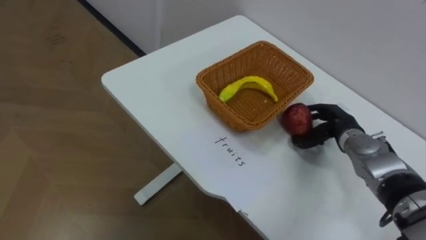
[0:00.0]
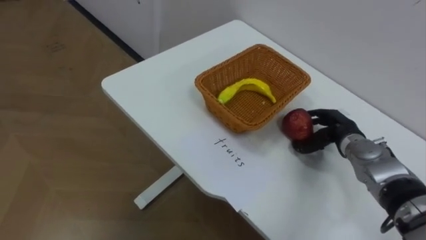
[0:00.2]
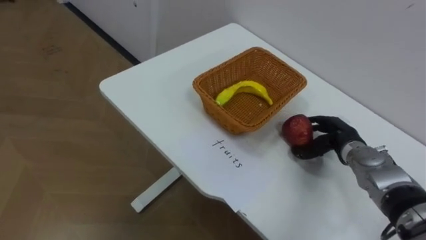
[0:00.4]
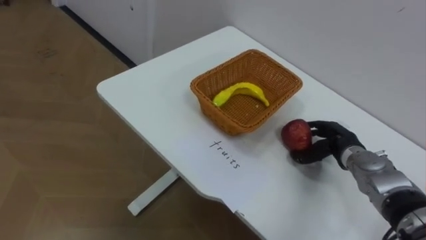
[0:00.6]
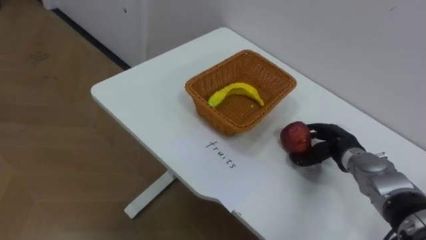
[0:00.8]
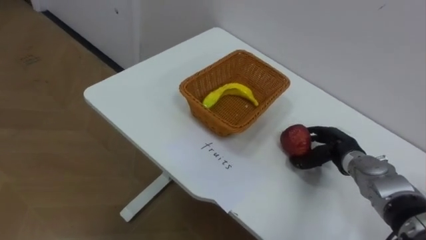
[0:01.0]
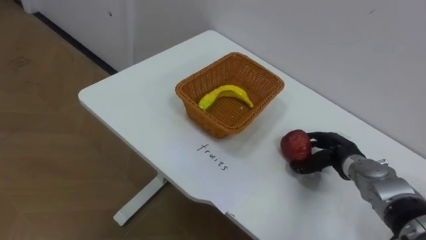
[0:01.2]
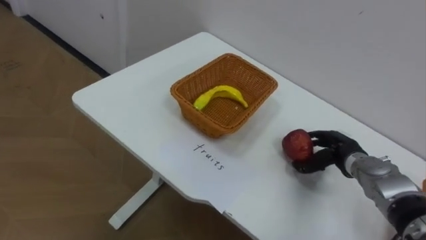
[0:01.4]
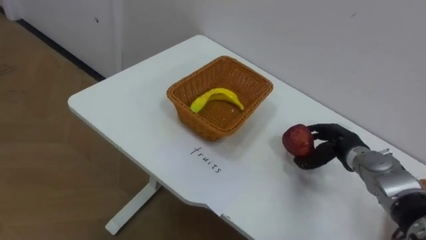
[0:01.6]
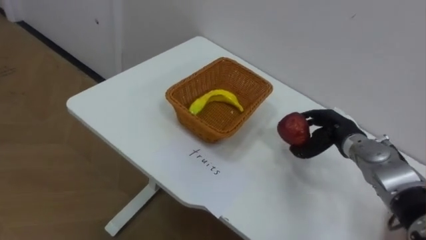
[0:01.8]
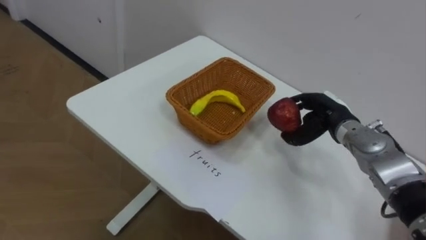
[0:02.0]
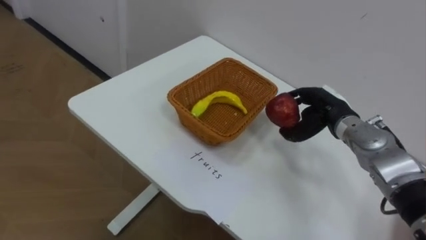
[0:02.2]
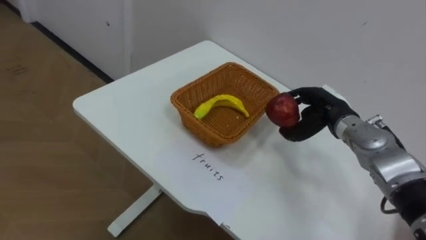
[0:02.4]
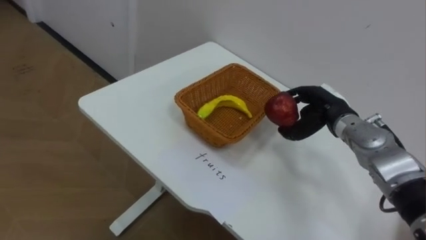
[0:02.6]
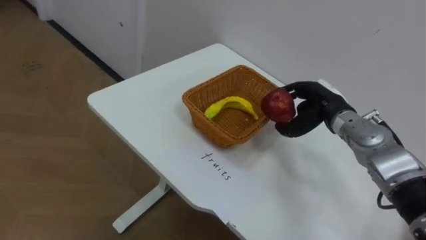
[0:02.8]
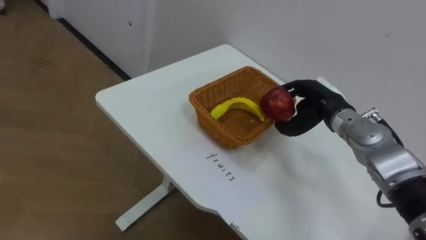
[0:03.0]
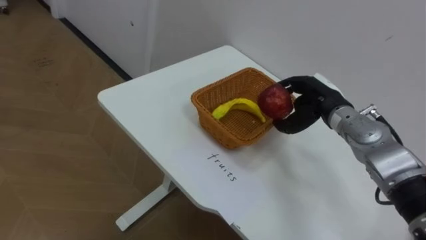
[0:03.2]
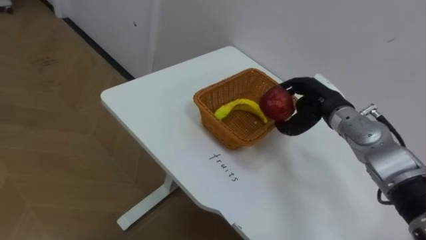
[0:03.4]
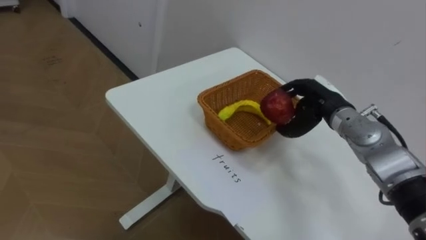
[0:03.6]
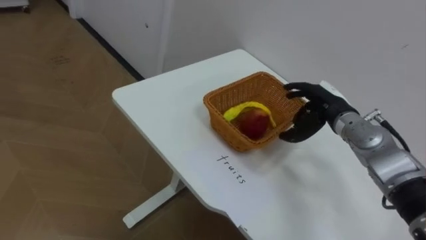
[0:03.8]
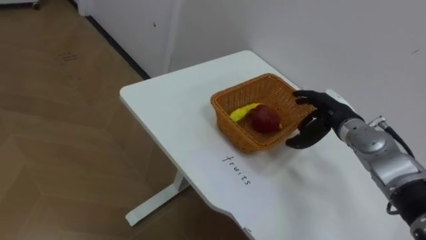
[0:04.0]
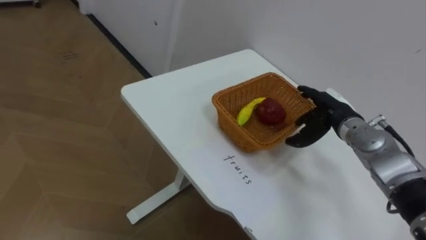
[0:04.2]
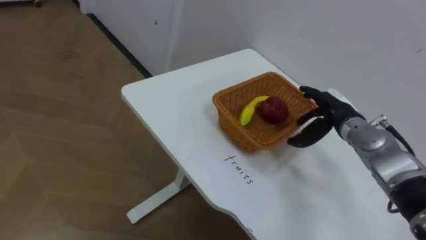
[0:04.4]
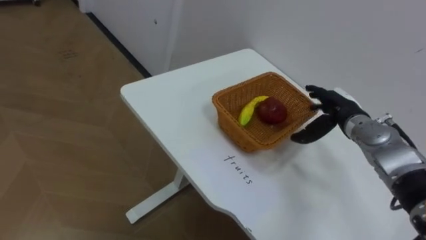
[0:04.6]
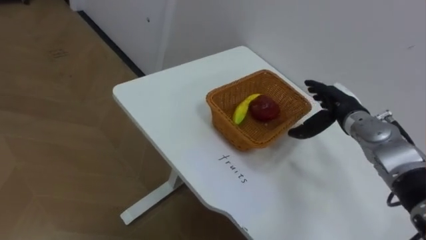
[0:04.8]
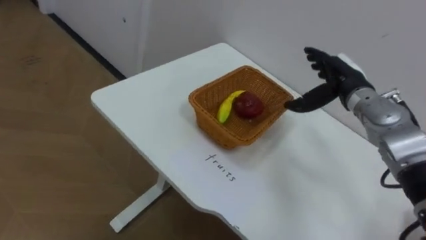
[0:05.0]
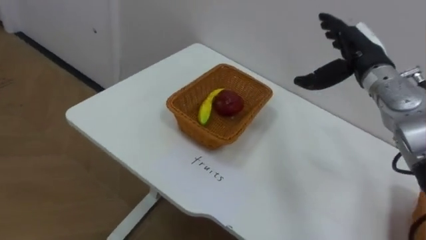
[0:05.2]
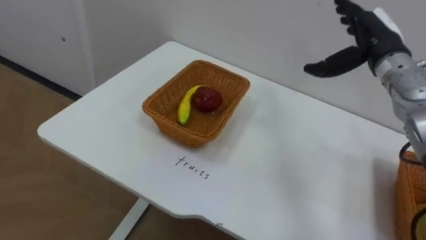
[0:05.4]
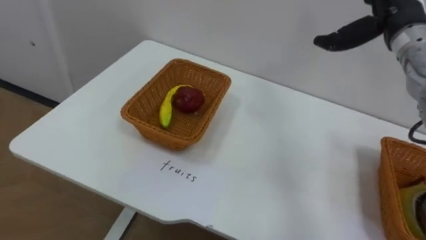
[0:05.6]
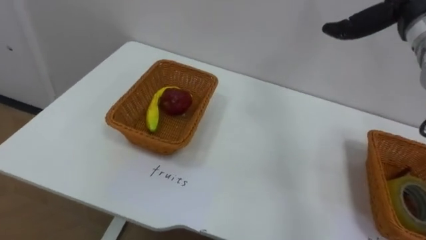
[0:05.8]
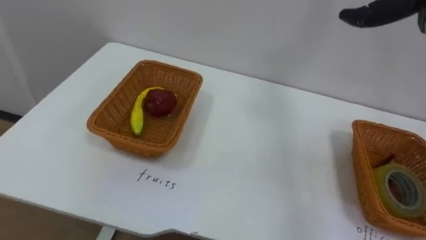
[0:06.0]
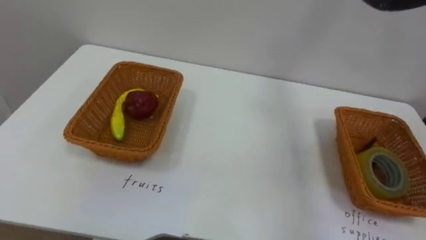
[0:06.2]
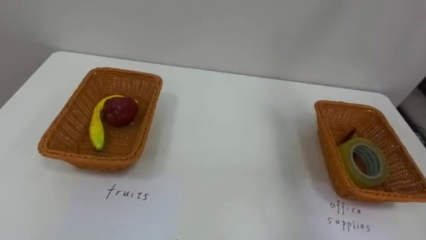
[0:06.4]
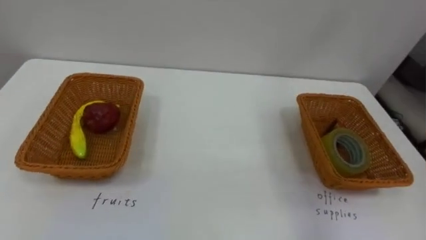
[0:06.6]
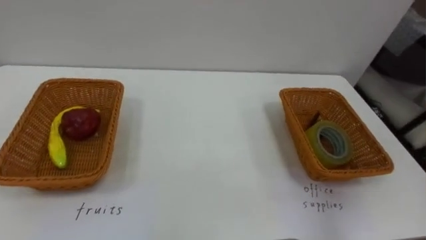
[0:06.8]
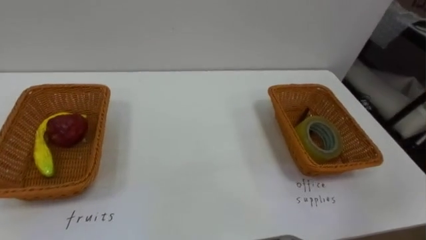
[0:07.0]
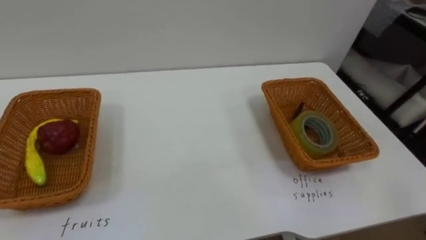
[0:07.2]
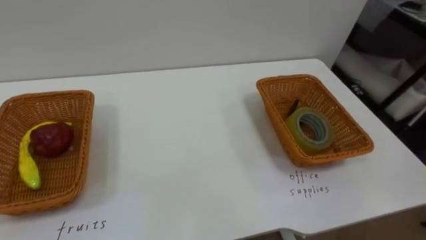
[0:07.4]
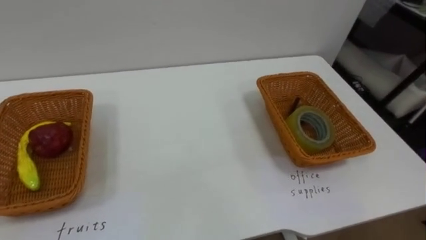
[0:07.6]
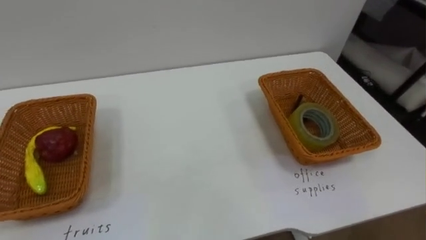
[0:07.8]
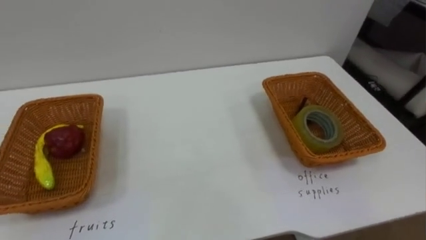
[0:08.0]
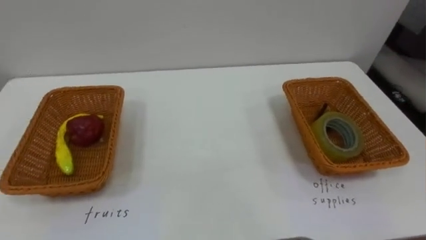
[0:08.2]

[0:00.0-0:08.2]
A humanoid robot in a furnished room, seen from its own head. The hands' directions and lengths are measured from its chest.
Task of the whole recording: Separate the items on the table and place them into the two baskets.
0:01.6 to 0:03.2: The right hand travels upward and to the left by approximately 10 cm.
0:03.2 to 0:05.0: The right hand opens up.

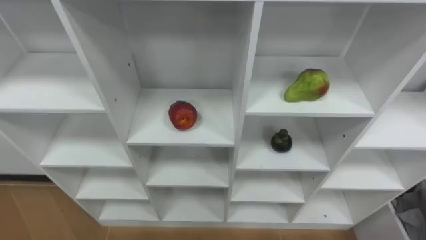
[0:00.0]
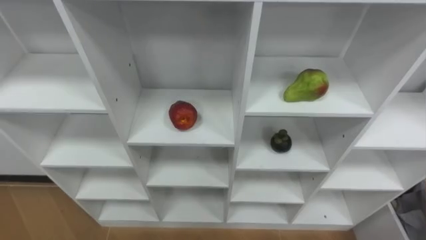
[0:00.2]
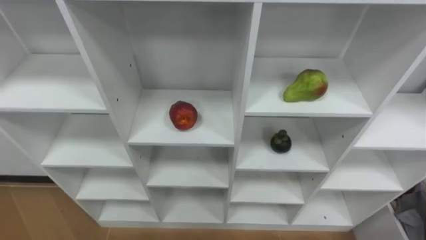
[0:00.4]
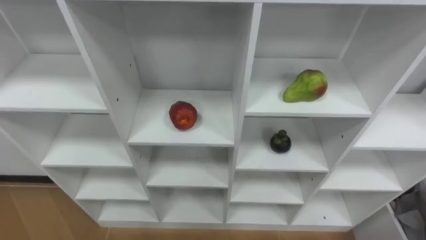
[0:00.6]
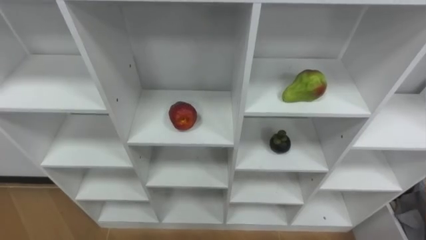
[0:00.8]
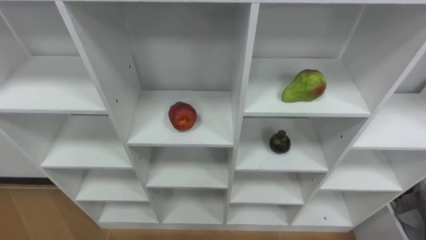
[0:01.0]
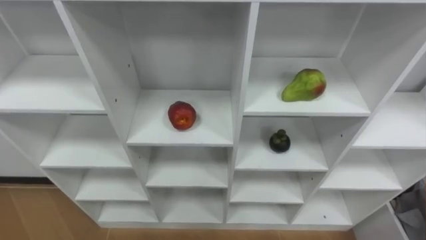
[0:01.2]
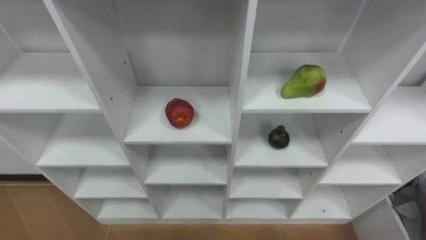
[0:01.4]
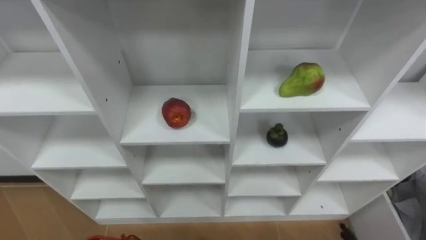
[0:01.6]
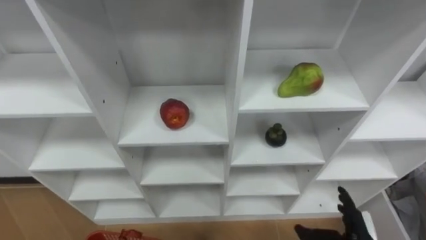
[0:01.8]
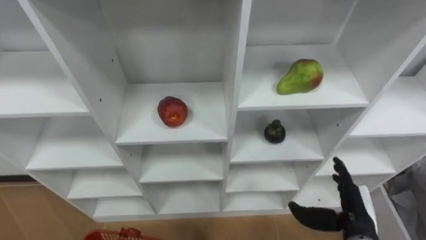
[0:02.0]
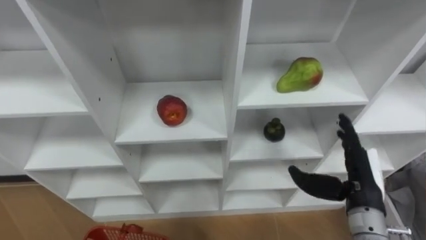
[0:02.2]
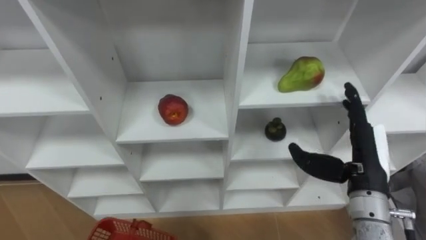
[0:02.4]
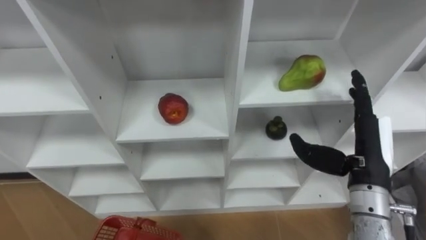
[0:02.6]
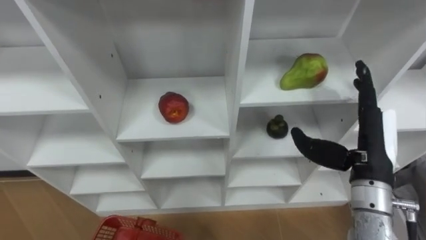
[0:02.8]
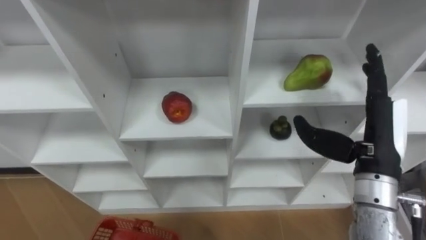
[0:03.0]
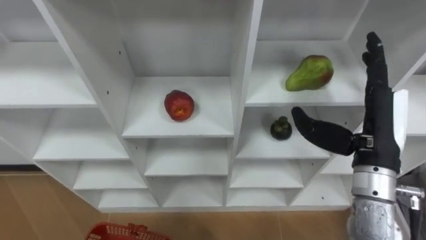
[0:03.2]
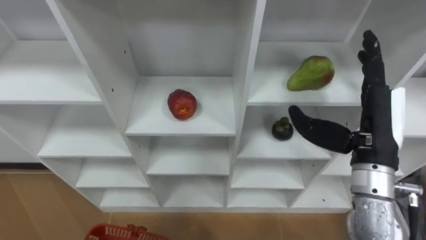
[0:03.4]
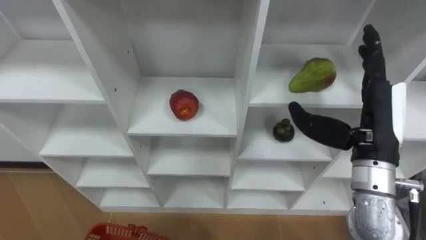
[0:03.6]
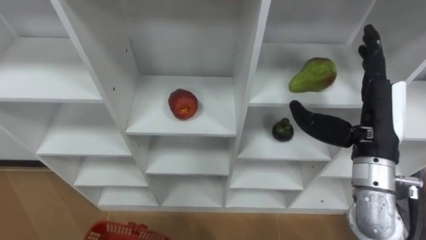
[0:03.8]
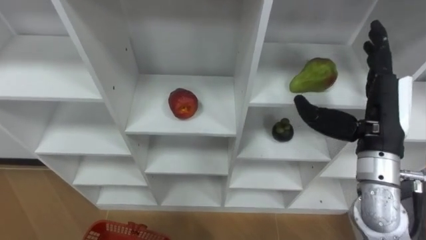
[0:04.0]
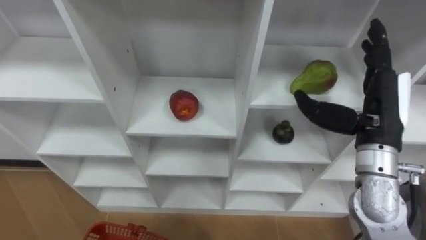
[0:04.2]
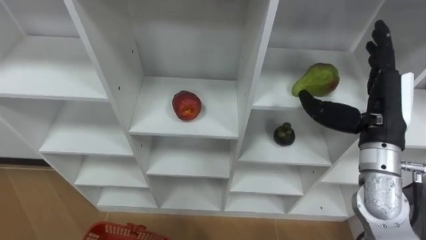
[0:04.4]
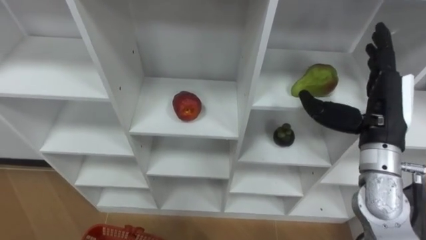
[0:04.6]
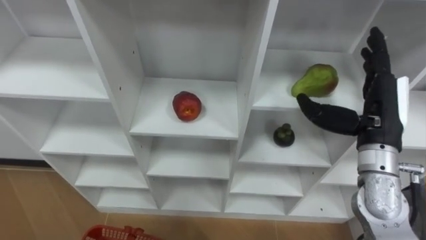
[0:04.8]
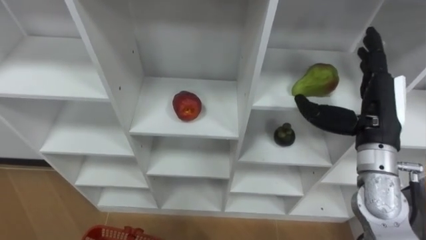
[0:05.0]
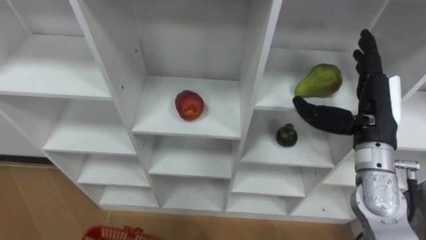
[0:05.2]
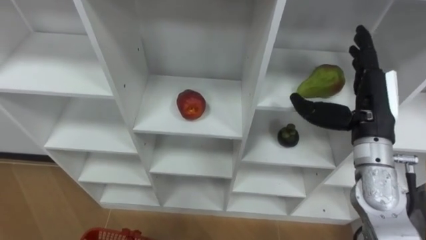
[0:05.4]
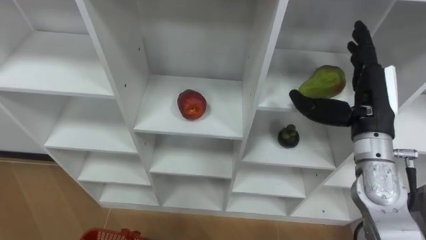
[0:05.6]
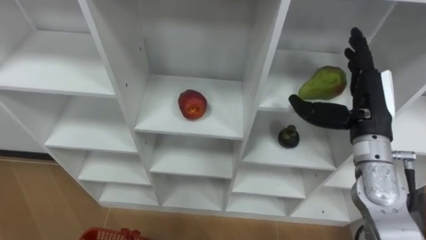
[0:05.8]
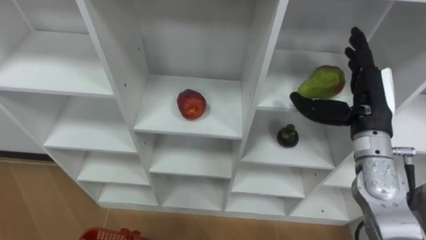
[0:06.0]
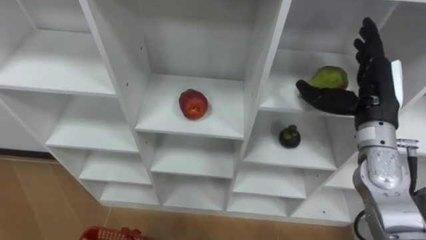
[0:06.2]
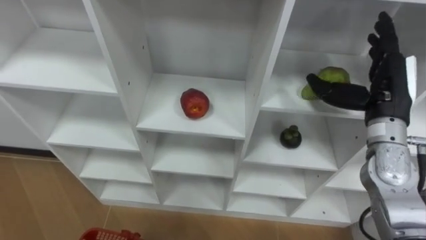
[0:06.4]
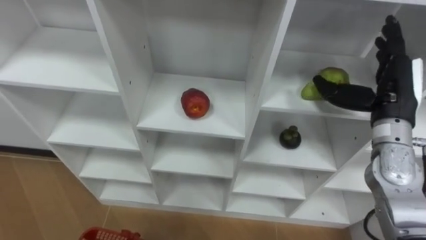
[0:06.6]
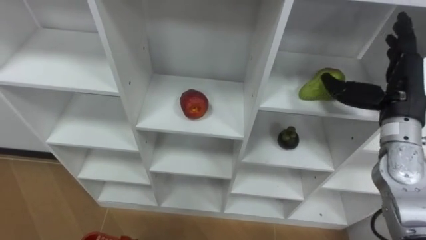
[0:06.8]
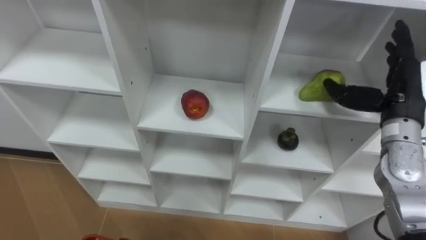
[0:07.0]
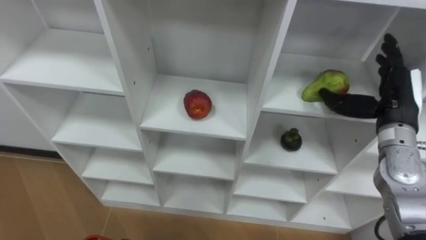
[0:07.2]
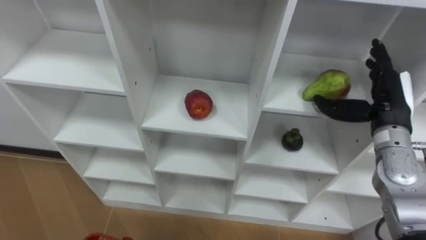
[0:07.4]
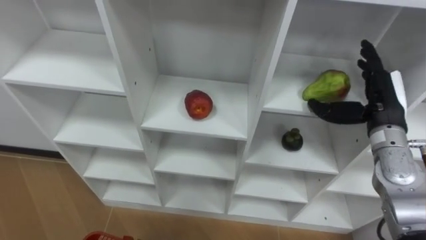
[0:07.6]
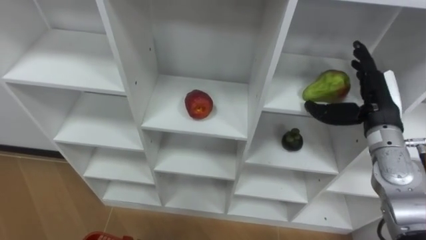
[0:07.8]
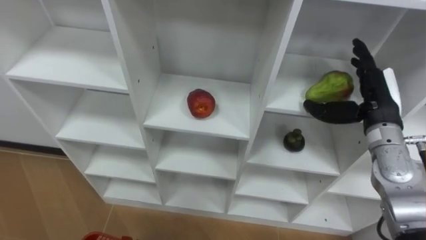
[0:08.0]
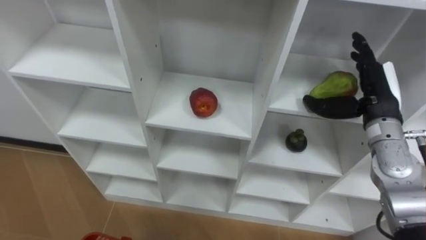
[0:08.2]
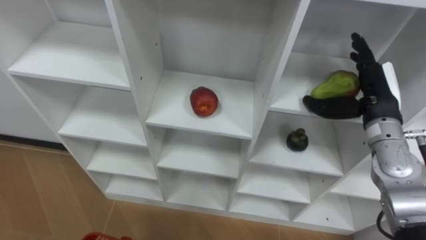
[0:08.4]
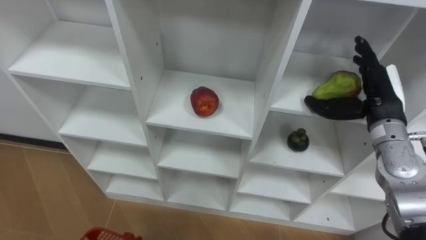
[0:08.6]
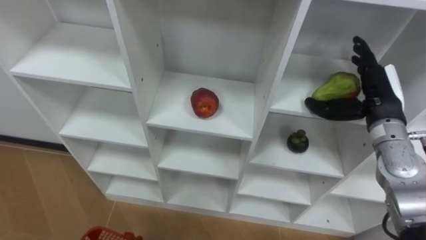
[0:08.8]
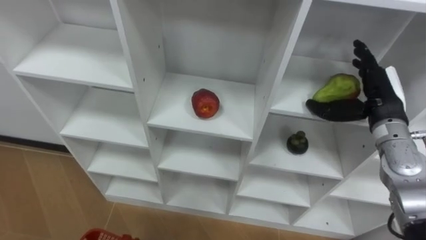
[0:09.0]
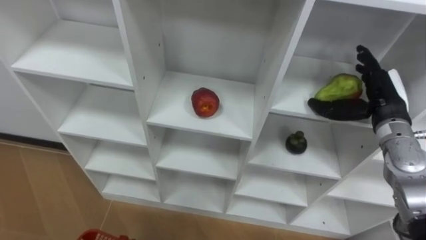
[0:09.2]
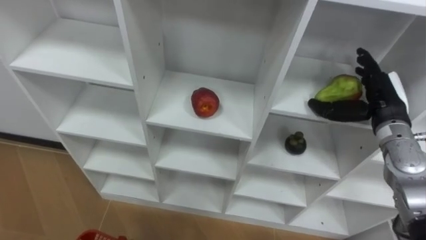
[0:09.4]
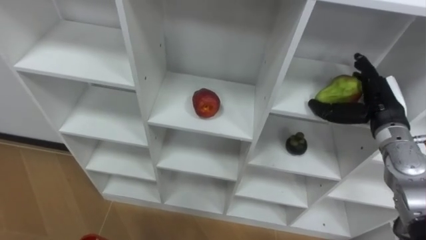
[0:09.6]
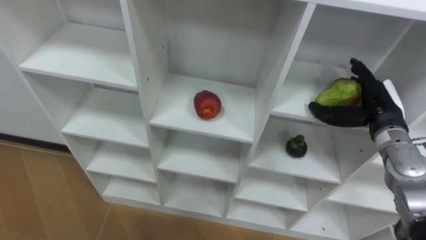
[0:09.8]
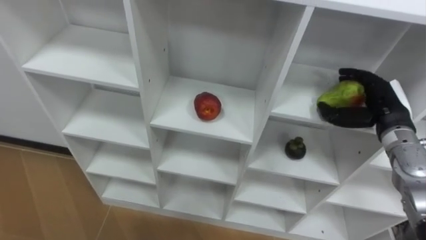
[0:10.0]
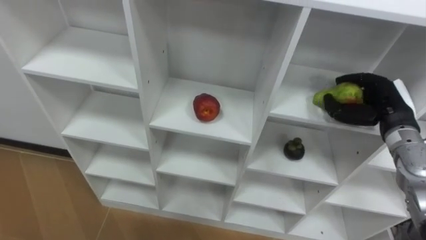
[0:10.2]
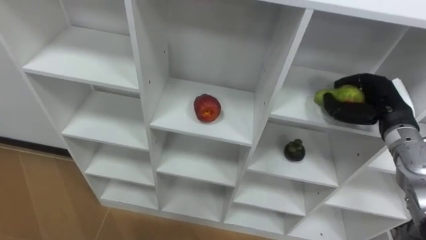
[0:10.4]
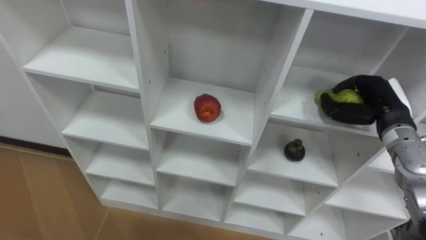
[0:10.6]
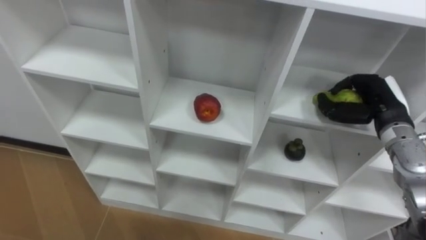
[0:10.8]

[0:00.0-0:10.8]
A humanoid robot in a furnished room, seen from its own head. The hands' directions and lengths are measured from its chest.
Task of the whole recording: Hold the basket and collect the fruits from 3 different cells of the closet into it.
0:09.2 to 0:10.8: The right hand closes up.
